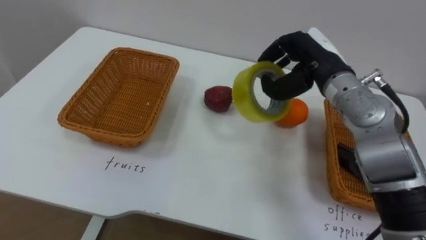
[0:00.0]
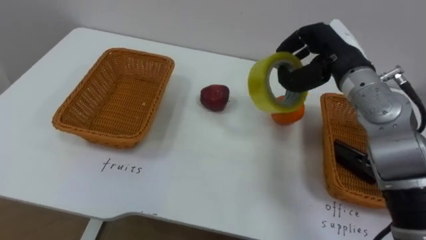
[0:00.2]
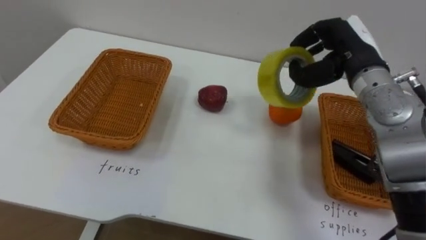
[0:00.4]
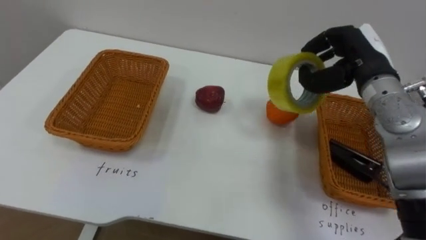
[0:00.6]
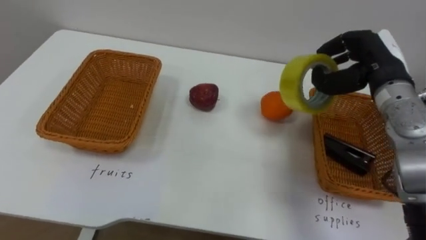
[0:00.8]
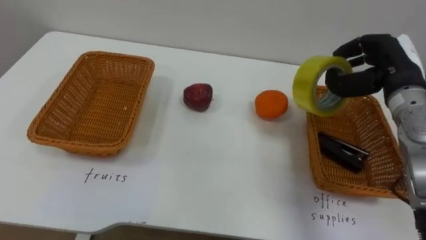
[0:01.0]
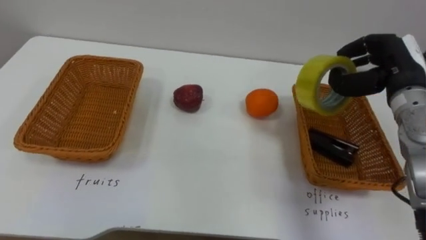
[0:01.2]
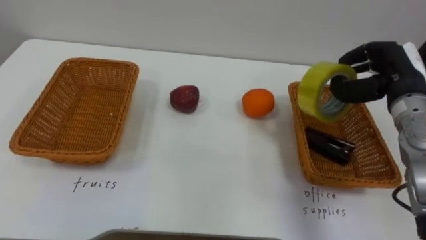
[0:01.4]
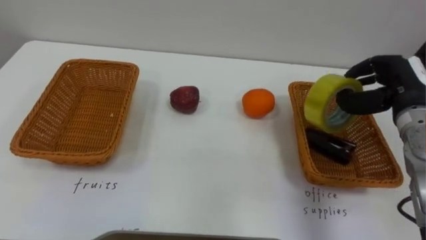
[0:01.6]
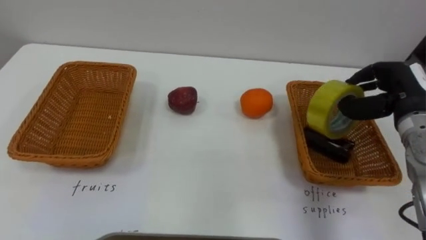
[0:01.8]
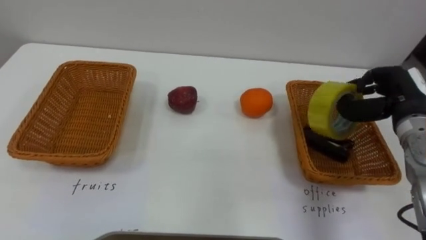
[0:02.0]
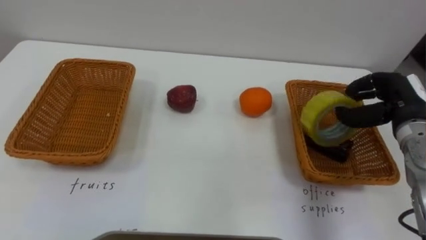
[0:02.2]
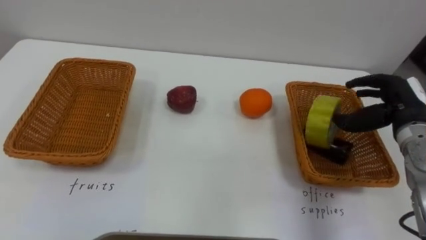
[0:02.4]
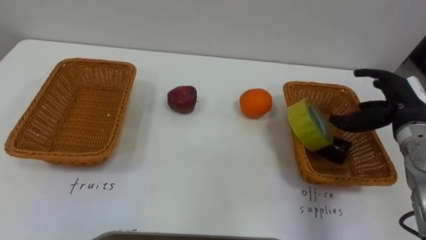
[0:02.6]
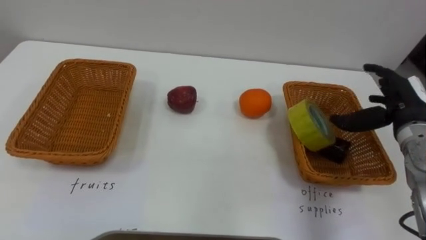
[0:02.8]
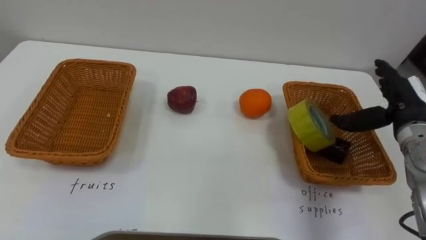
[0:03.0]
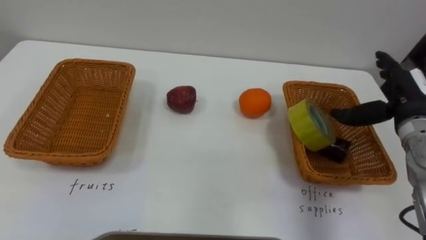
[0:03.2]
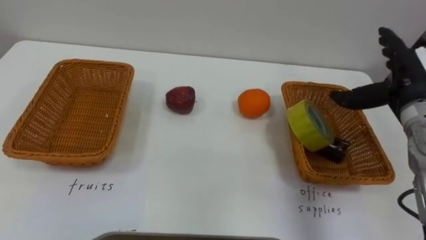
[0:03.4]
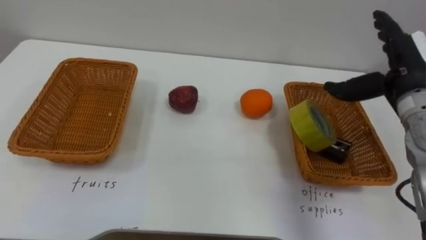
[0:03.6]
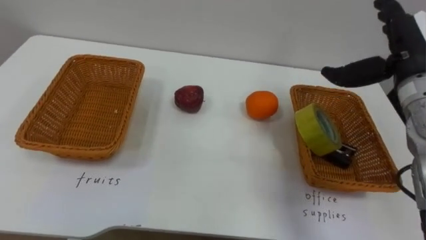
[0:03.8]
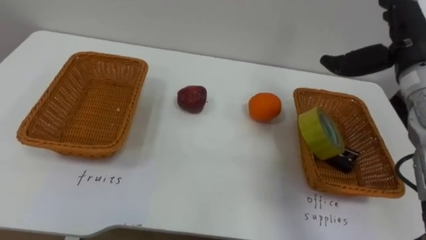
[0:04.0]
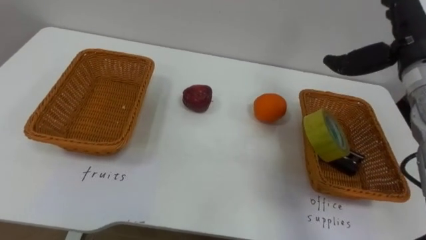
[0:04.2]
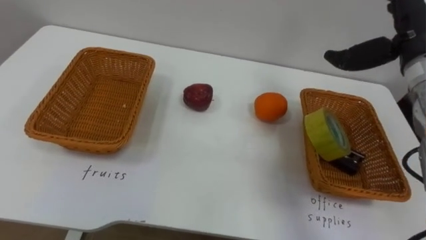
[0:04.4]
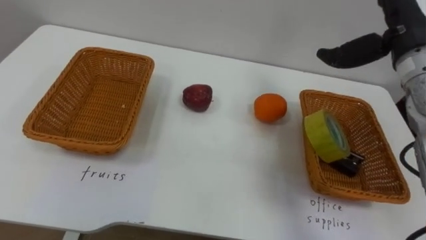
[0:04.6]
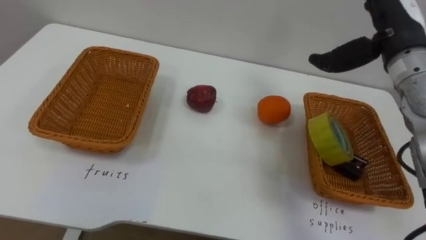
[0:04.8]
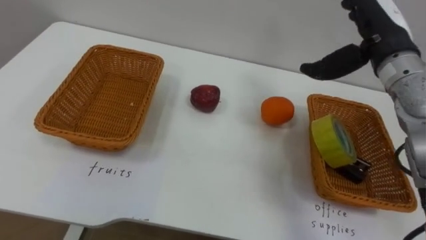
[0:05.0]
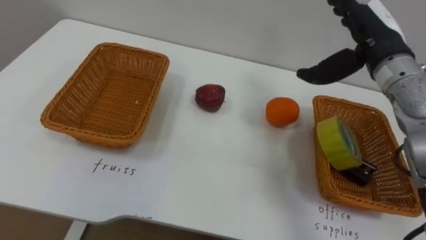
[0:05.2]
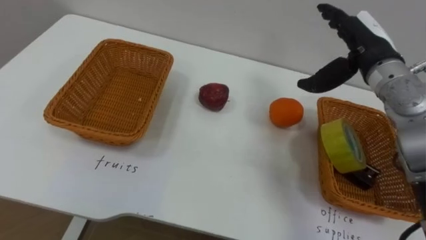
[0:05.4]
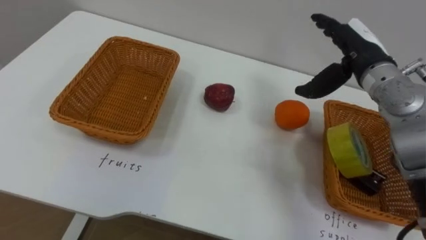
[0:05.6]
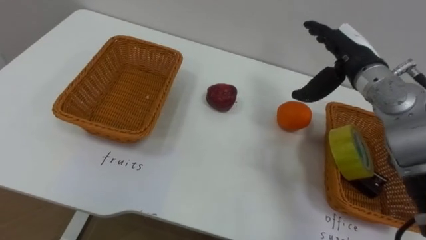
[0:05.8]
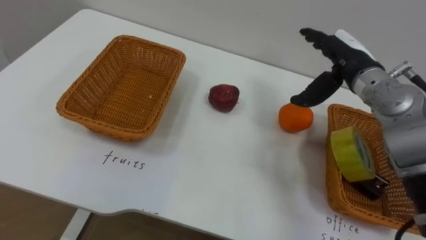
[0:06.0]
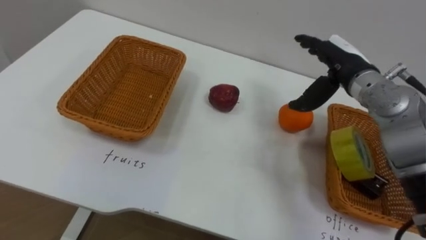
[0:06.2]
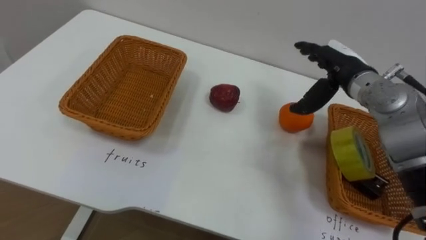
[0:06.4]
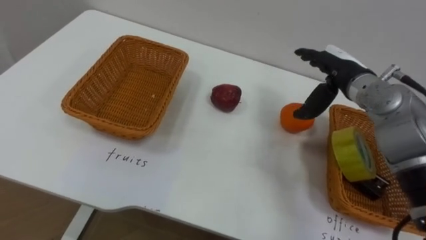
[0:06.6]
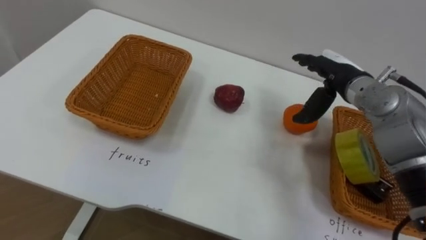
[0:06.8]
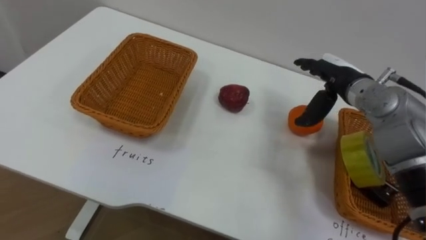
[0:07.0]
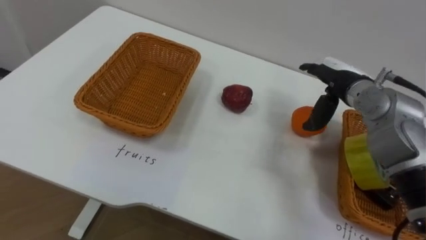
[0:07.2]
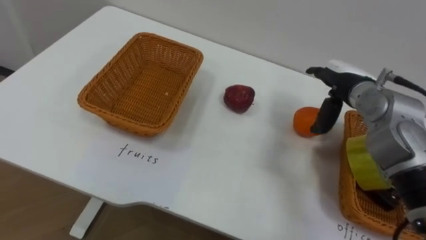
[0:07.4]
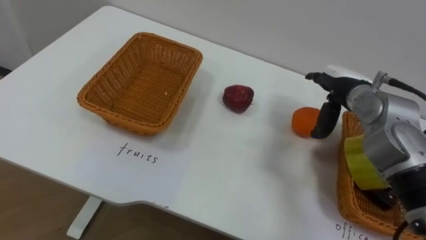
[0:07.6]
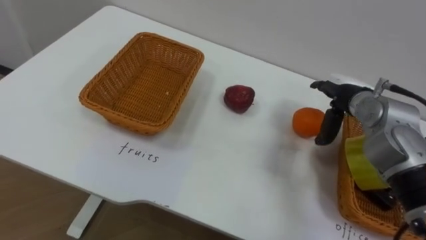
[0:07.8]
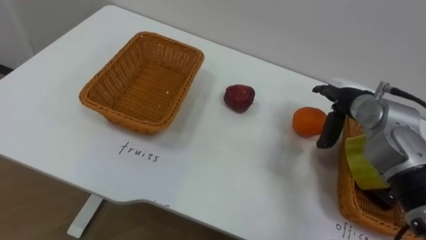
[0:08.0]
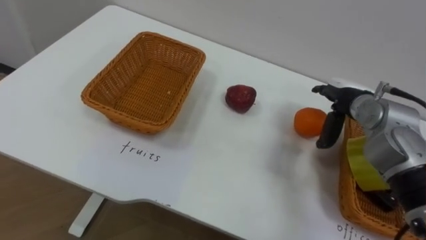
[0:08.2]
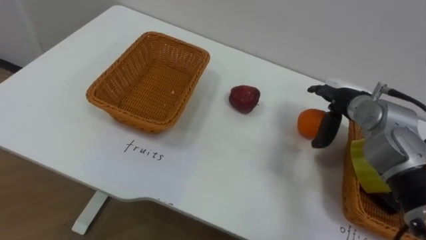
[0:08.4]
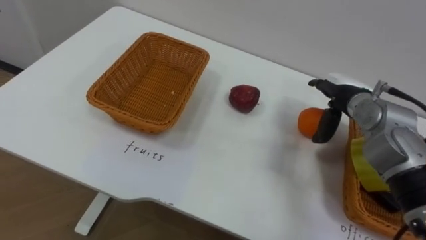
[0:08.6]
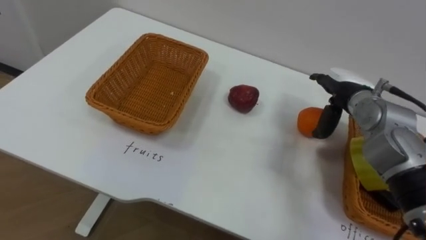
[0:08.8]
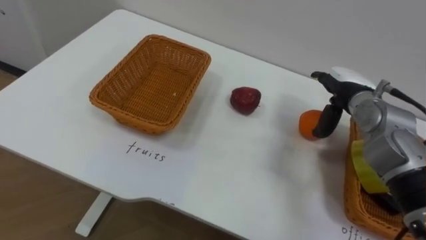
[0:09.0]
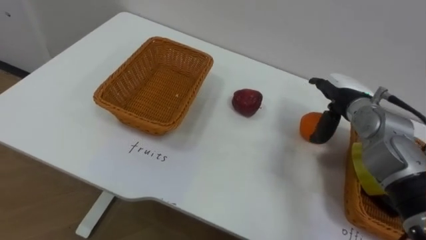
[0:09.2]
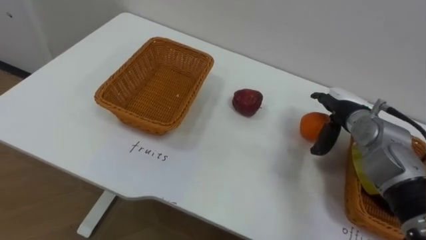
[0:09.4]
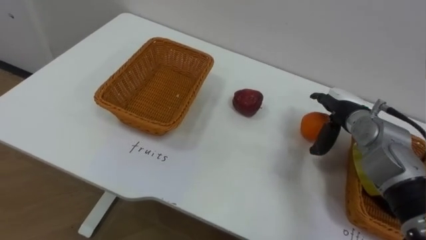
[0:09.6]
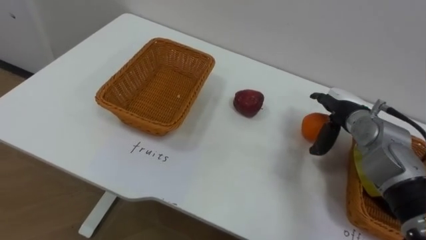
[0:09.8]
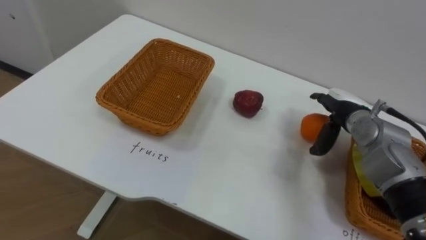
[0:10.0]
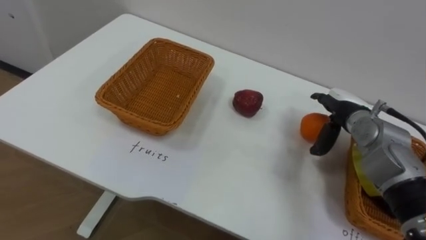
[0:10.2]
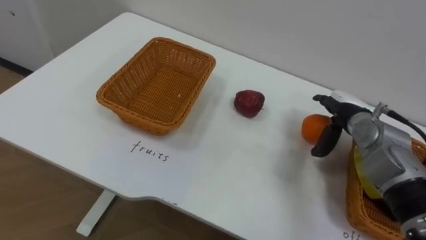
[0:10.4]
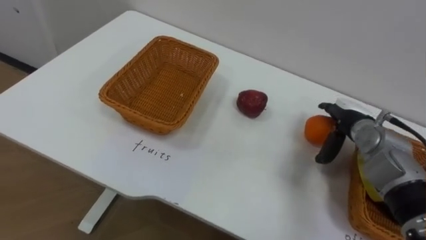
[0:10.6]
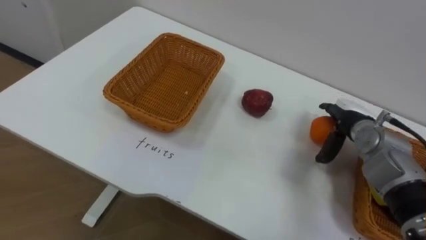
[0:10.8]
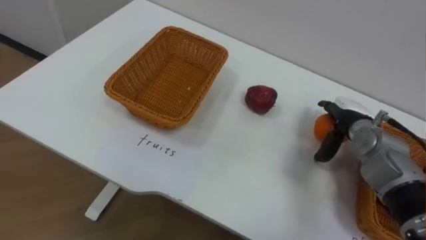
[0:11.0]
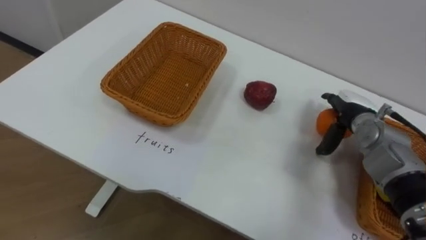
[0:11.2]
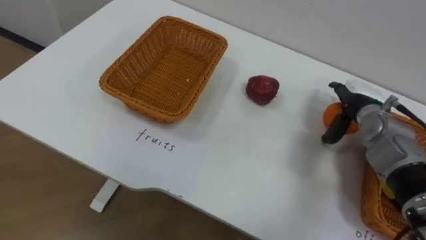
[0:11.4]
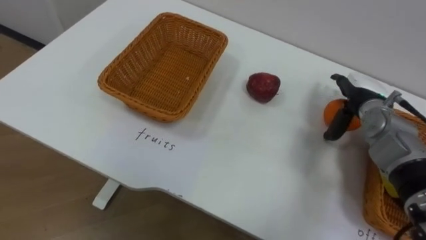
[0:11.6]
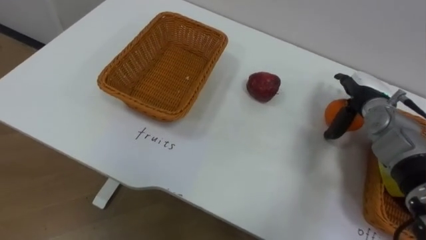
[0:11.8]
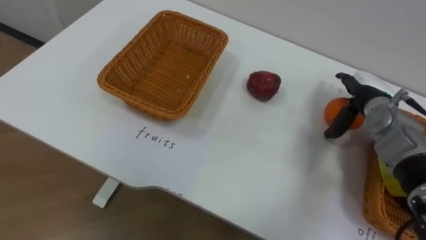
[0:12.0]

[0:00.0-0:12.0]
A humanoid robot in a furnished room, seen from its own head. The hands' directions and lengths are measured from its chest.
Task of the whole recording: Separate the items on the table and place them into the two baskets.
0:00.0 to 0:01.6: The right hand is displaced to the right by about 15 cm.
0:01.6 to 0:03.0: The right hand opens its fingers.
0:03.0 to 0:04.4: The right hand shifts approximately 10 cm upward.
0:04.4 to 0:06.0: The right hand shifts approximately 10 cm downward and to the left.
0:06.0 to 0:07.6: The right hand shifts some 5 cm downward.
0:10.4 to 0:12.0: The right hand shifts by some 5 cm.

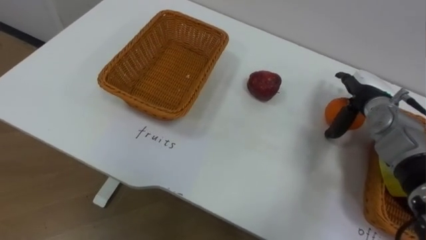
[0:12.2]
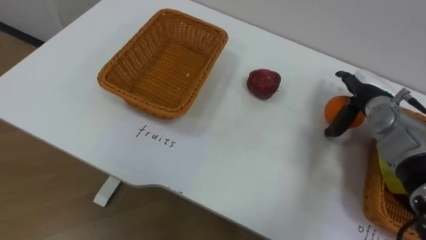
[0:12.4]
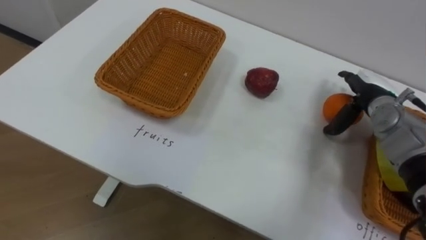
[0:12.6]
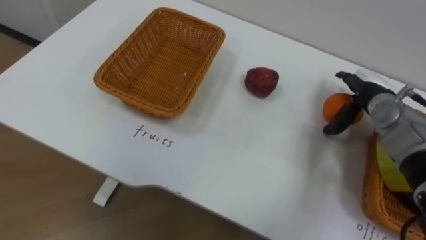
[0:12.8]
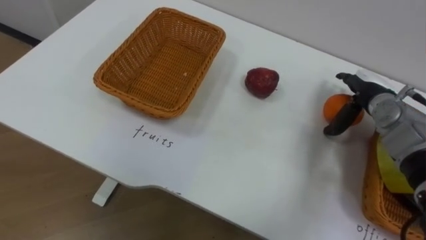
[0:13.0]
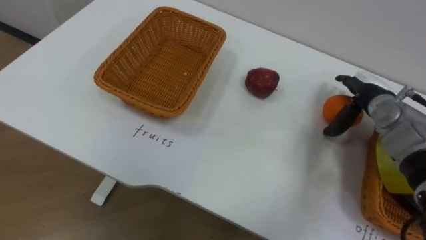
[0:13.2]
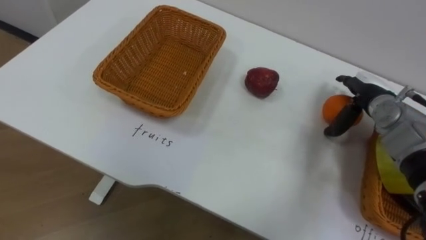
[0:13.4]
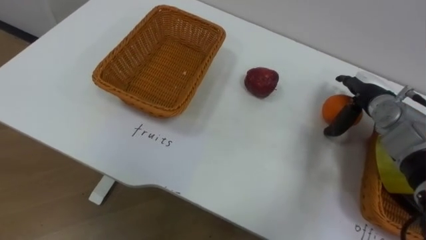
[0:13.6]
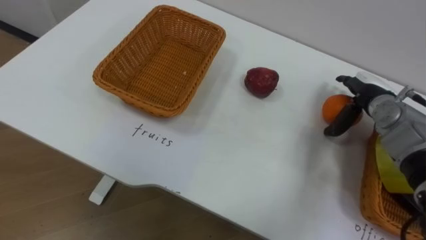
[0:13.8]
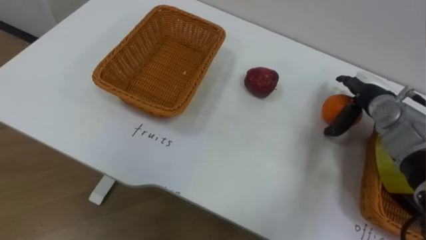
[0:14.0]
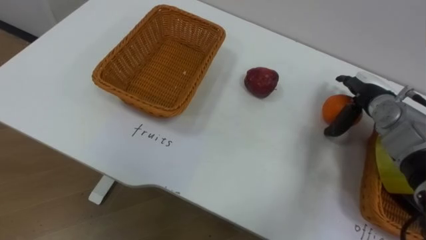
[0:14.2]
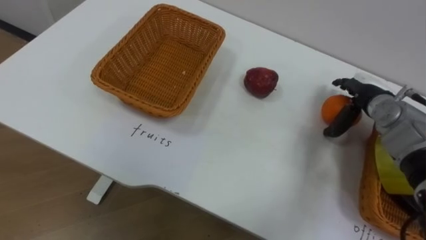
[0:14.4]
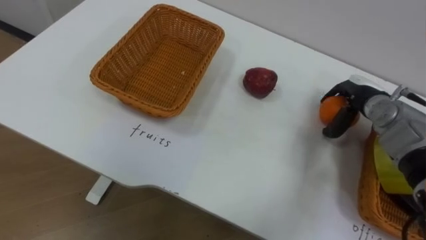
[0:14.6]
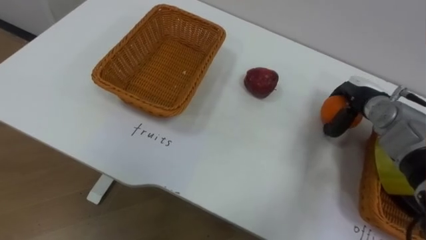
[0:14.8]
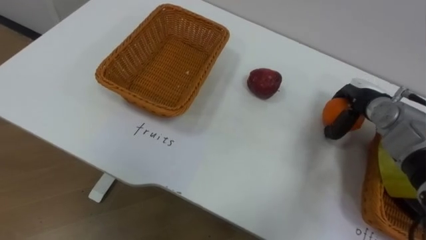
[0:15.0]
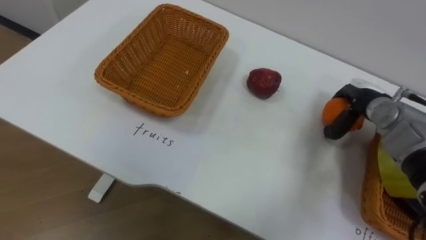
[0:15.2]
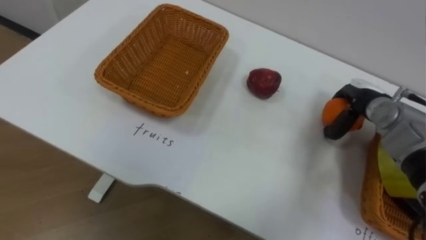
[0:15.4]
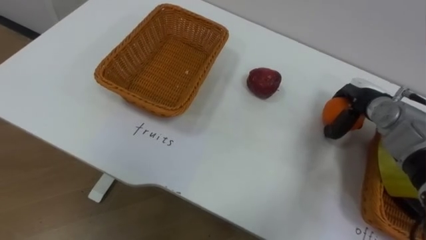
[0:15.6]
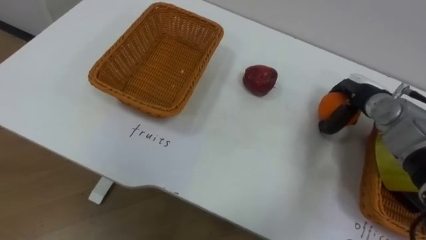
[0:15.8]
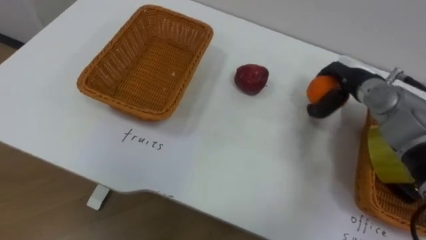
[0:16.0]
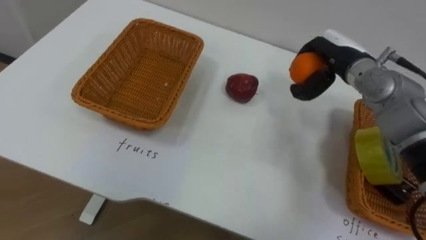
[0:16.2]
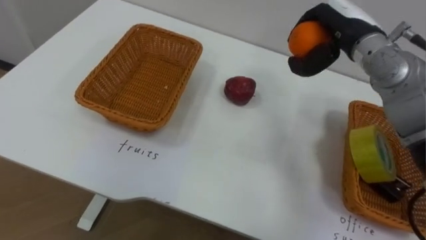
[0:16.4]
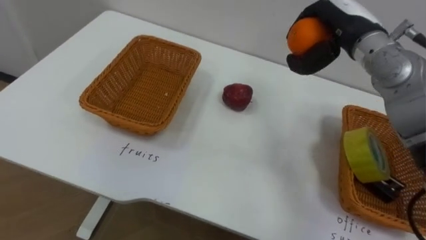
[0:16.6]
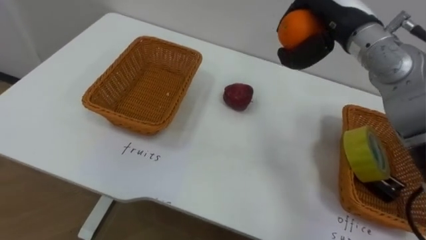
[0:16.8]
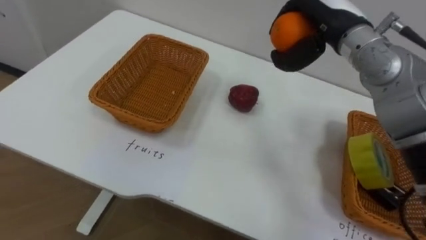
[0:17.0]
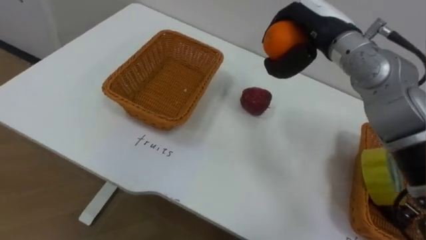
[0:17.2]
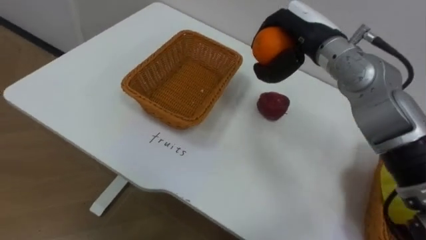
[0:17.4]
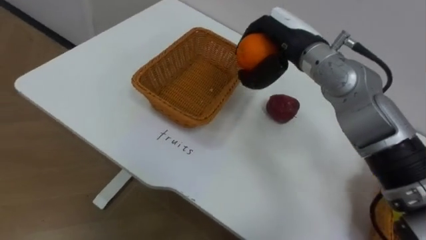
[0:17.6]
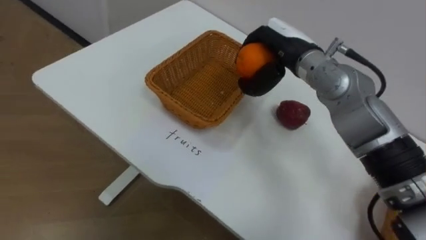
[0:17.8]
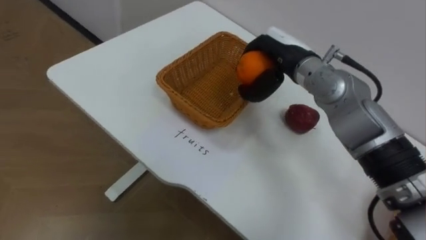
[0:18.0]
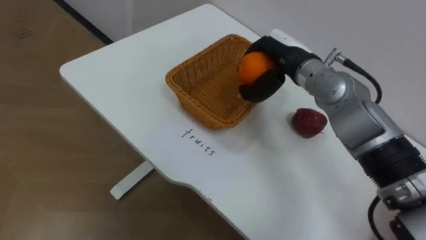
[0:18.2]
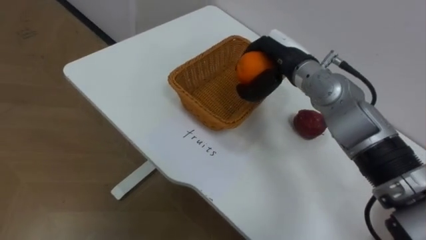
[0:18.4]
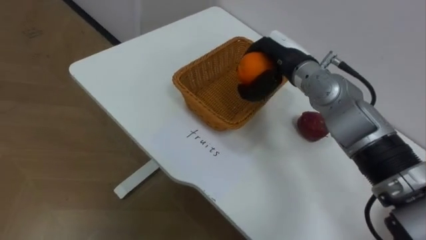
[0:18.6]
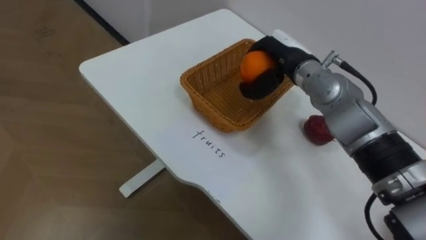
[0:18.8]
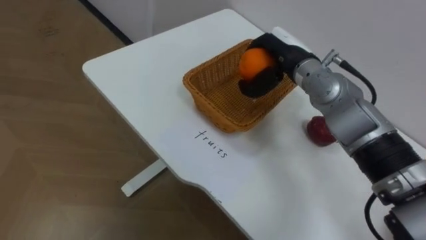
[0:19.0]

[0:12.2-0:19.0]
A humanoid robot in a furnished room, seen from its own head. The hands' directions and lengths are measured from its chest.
Task of the whole recording: Separate the items on the table and place them into the two baskets.
0:13.6 to 0:15.0: The right hand closes.
0:15.0 to 0:16.2: The right hand moves upward and to the left, approximately 10 cm.
0:16.2 to 0:17.6: The right hand heads to the left and upward, covering about 10 cm.
